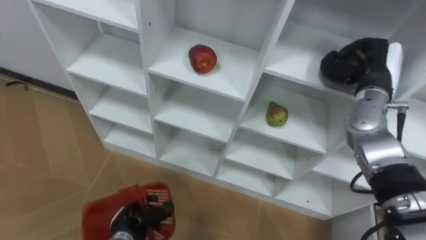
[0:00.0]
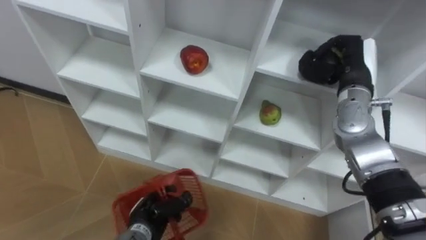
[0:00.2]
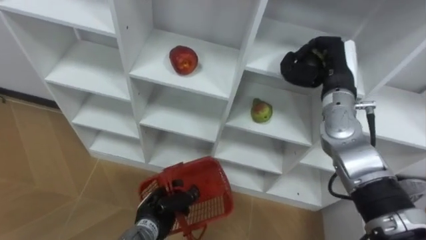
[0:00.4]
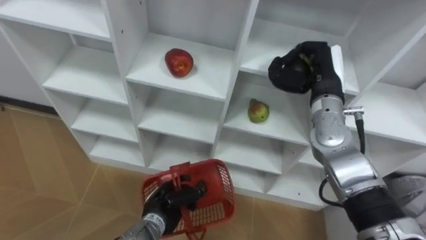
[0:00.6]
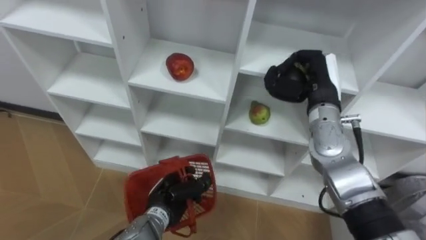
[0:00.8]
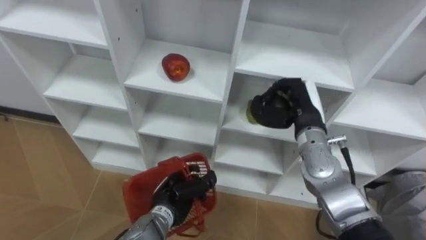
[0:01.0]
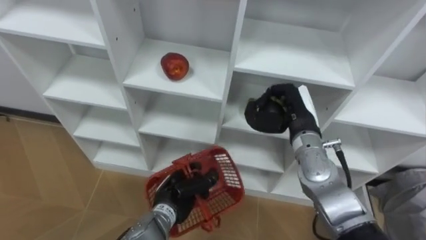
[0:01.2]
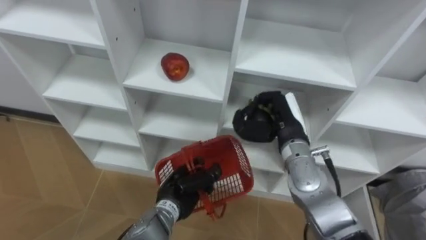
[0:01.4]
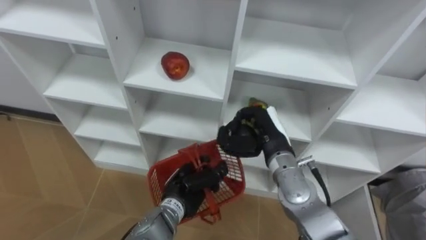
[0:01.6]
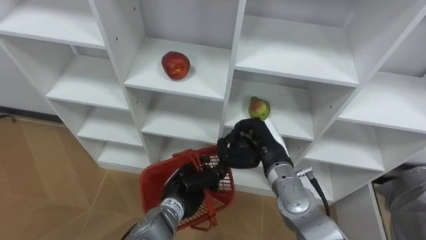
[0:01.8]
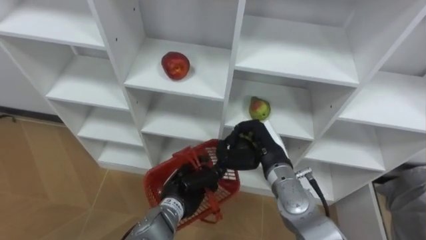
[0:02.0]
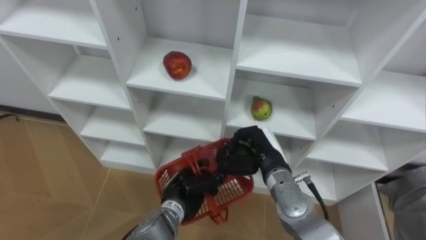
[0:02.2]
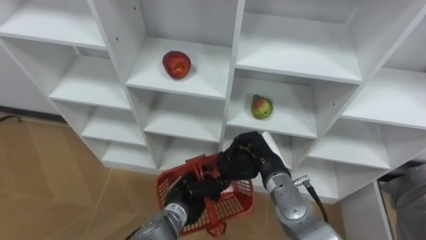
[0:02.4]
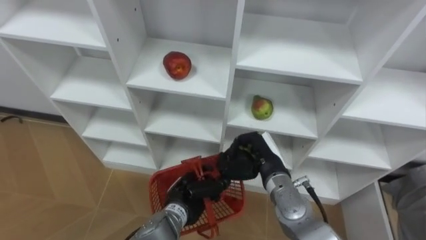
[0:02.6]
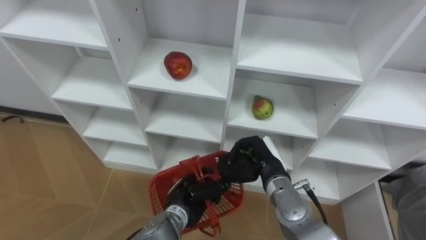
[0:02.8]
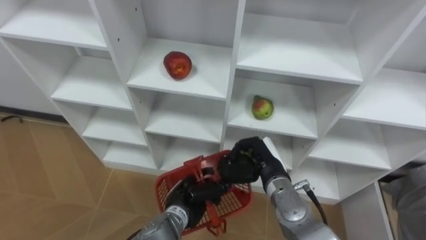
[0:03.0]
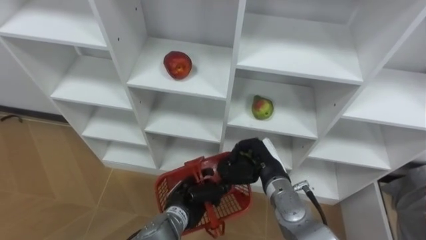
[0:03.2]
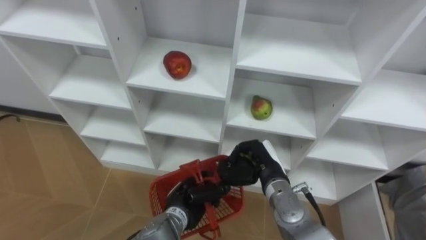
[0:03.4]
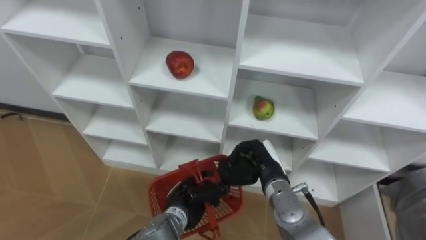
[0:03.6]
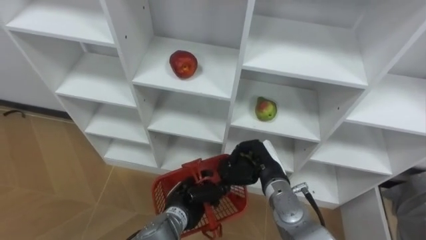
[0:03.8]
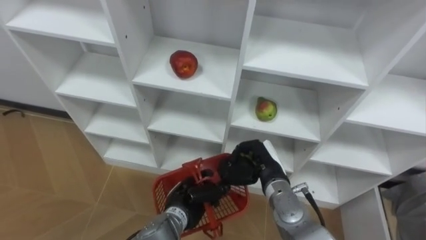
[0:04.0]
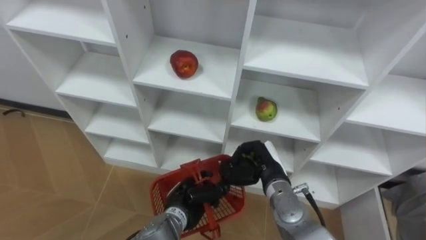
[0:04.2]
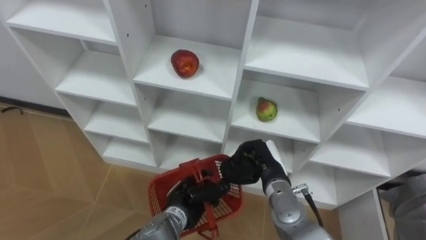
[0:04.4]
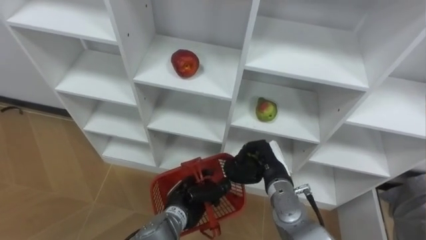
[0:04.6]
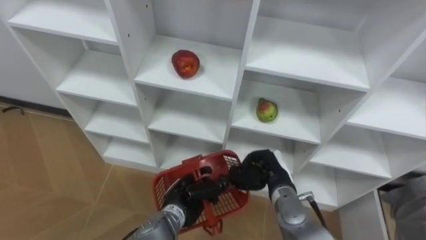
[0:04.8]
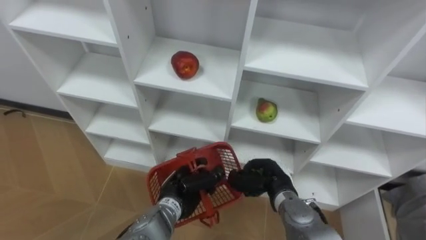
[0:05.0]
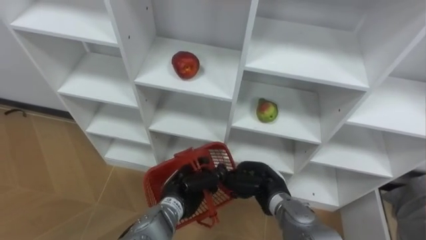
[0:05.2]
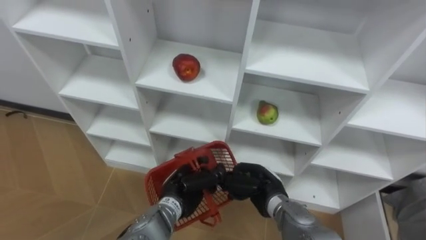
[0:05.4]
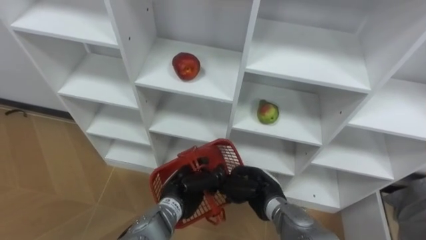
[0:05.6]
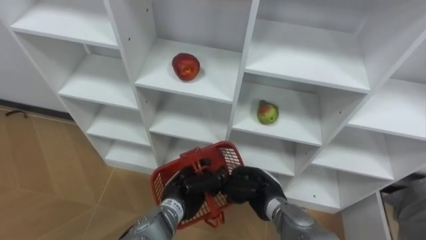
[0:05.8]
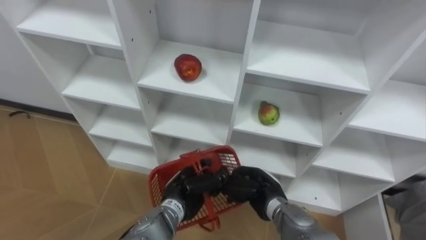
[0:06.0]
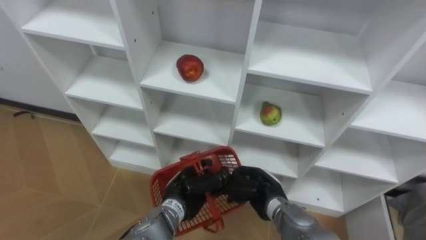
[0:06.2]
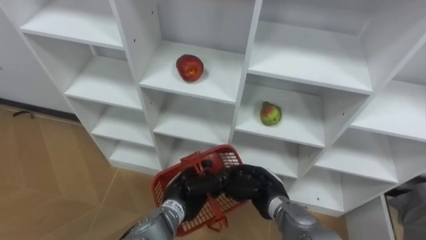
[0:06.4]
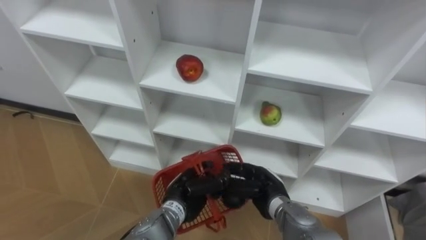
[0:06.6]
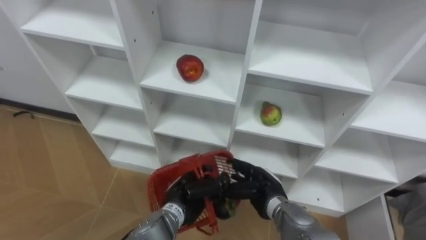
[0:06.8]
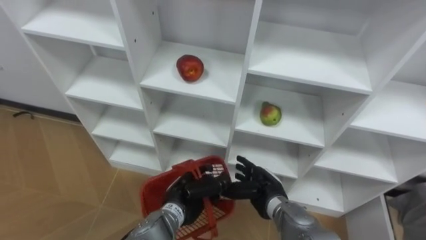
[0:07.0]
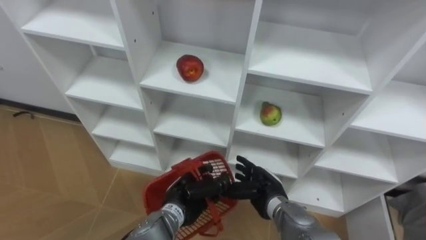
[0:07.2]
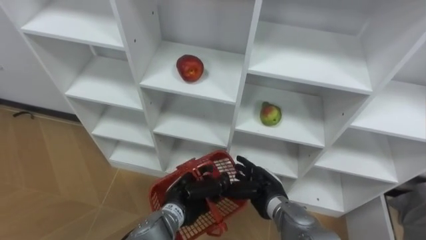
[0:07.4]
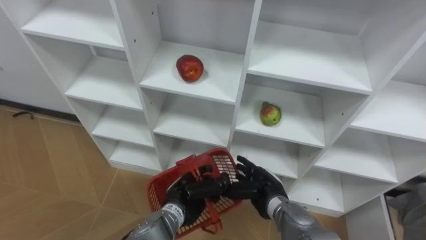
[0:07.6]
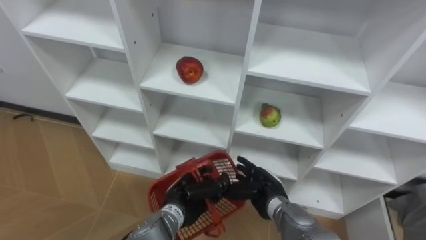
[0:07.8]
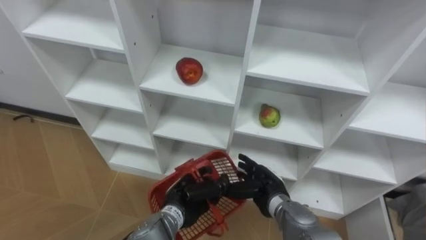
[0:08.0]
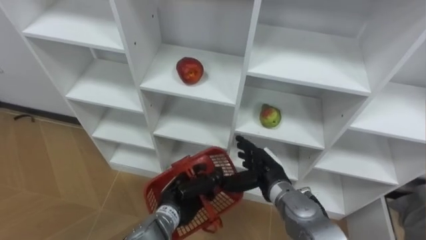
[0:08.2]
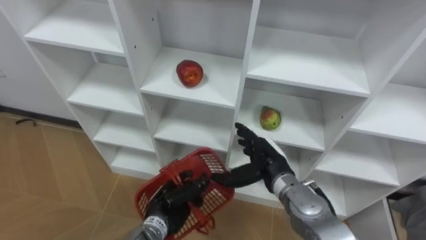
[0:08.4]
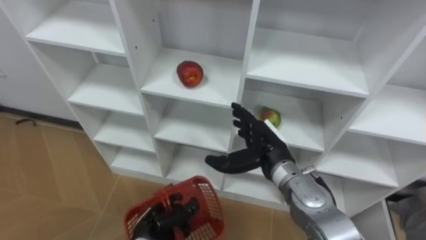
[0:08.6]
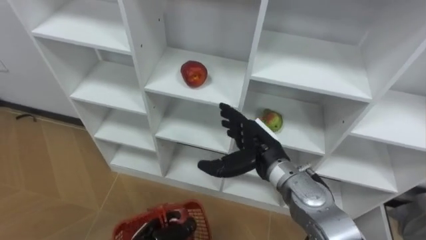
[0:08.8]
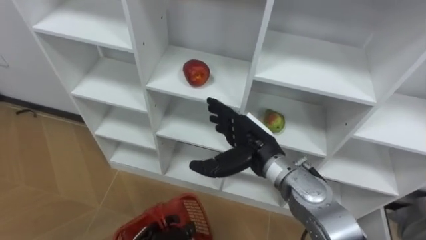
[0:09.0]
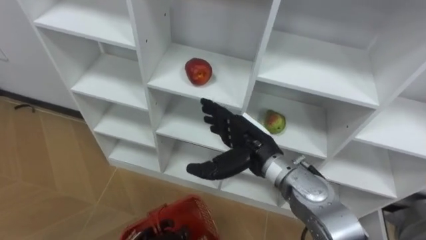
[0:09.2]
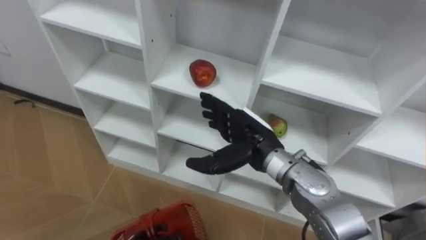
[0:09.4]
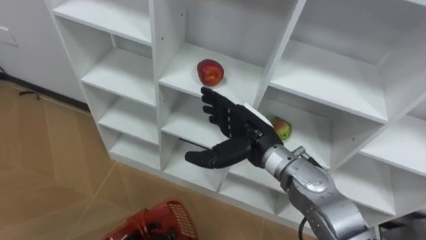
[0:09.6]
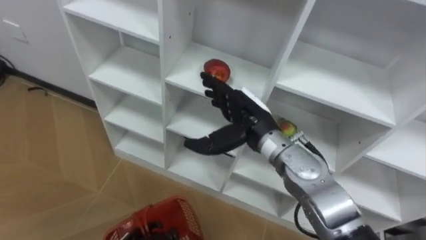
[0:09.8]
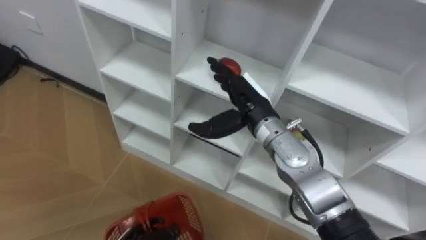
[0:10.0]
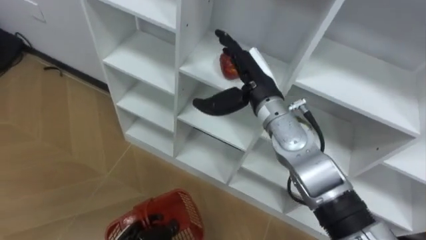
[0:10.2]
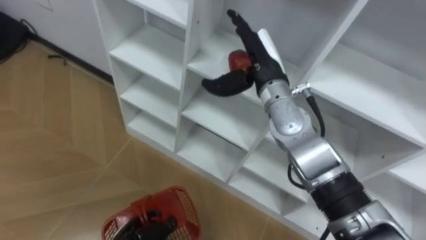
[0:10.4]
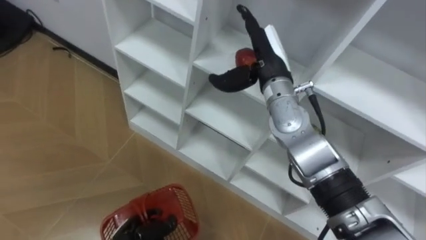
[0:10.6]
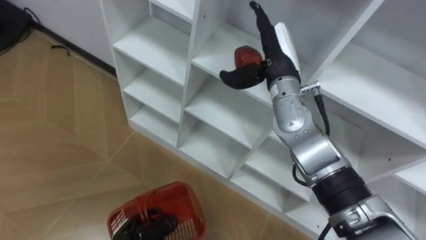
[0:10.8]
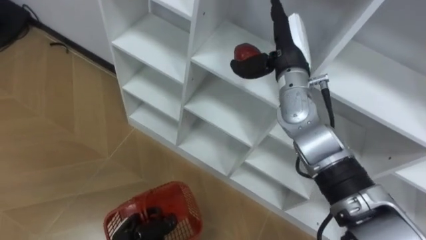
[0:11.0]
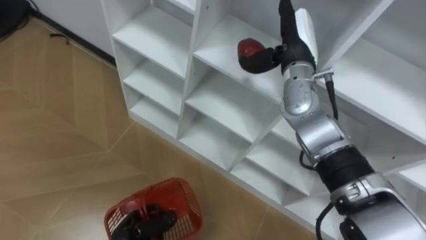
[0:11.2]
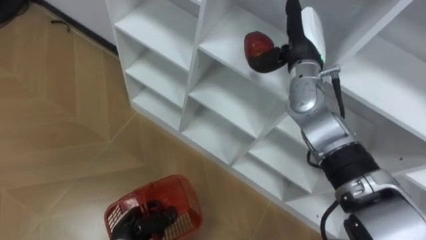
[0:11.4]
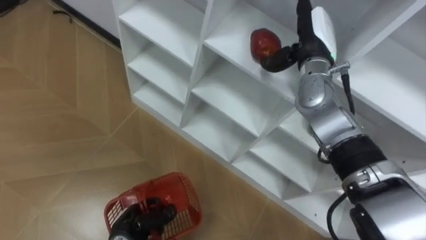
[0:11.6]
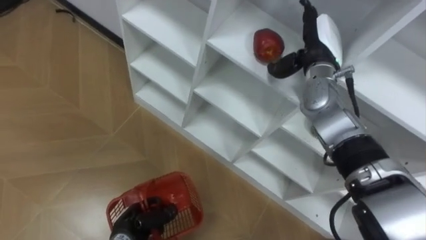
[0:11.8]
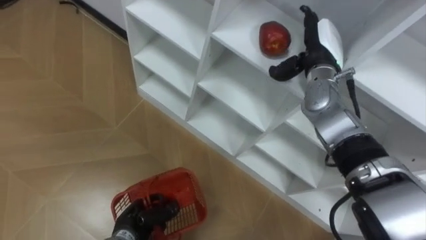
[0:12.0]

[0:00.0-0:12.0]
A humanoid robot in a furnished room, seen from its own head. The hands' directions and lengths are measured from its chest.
Task of the whole recording: Hold the basket and collect the fruits from 3 different cells of the closet into it.
0:00.0 to 0:01.6: The right hand moves to the left, downward and backward, about 20 cm; the left hand heads to the right, upward and forward, covering approximately 15 cm.
0:01.6 to 0:03.0: The right hand moves downward, some 5 cm.
0:04.4 to 0:06.0: The right hand ends up roughly 5 cm from where it was.
0:06.0 to 0:07.6: The right hand opens.
0:07.6 to 0:09.0: The left hand moves backward, to the left and downward, approximately 15 cm; the right hand is displaced upward by some 15 cm.
0:09.0 to 0:10.4: The right hand moves upward and forward, some 15 cm.
0:10.4 to 0:12.0: The right hand goes approximately 10 cm to the right and forward.

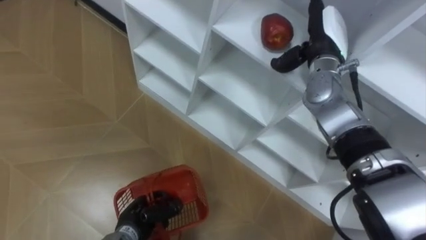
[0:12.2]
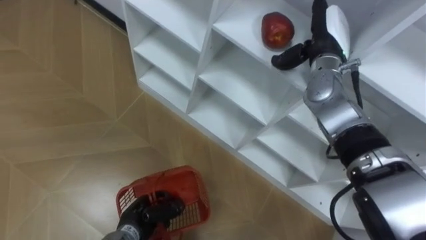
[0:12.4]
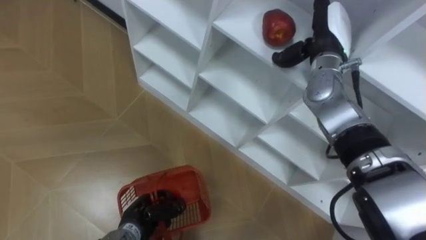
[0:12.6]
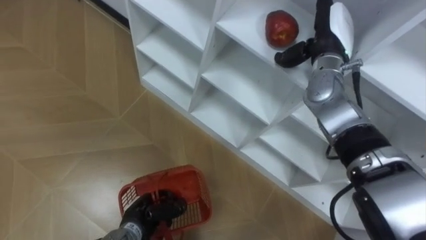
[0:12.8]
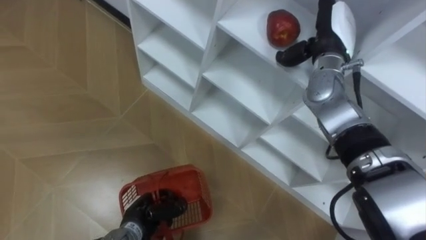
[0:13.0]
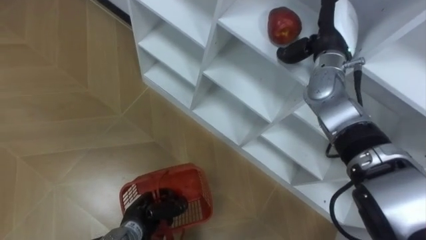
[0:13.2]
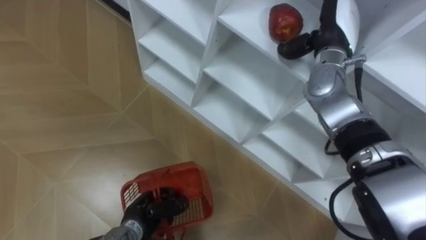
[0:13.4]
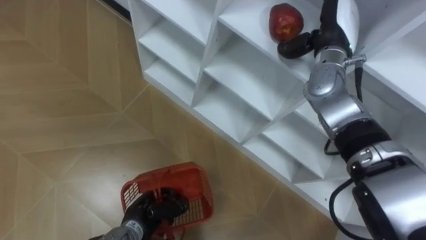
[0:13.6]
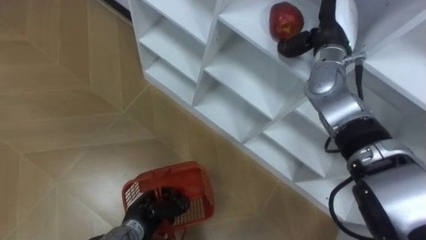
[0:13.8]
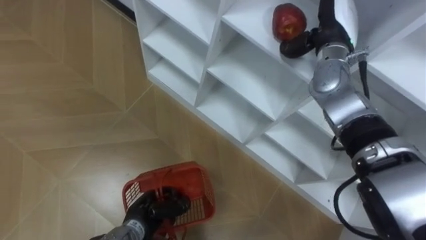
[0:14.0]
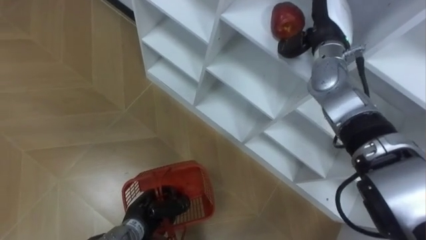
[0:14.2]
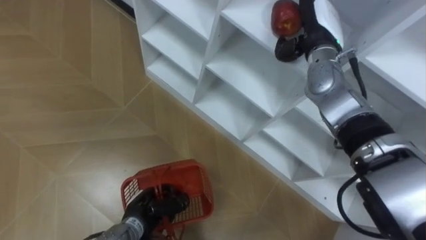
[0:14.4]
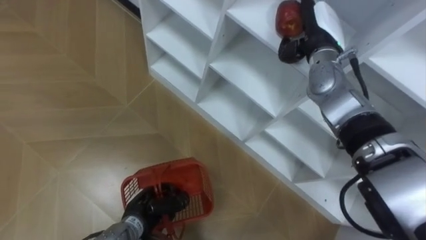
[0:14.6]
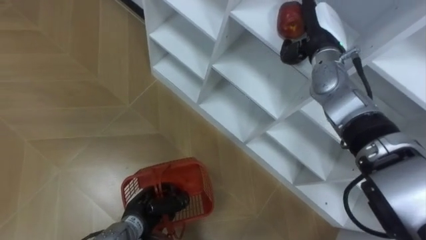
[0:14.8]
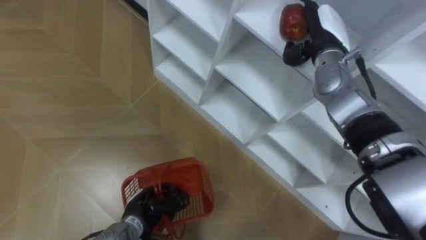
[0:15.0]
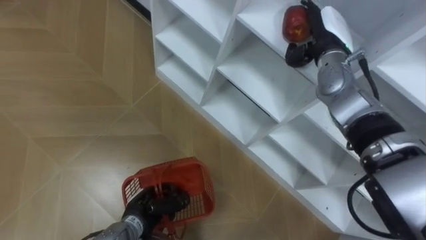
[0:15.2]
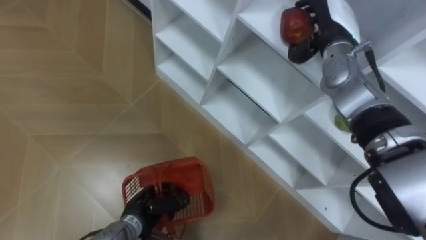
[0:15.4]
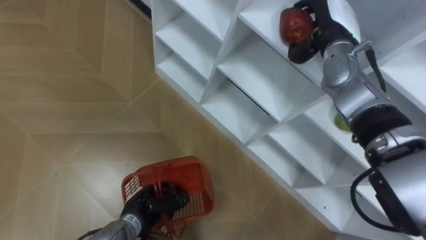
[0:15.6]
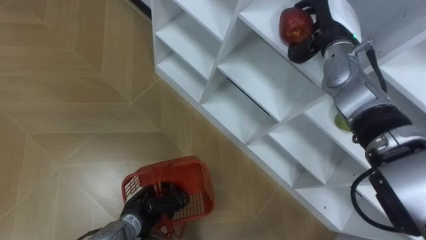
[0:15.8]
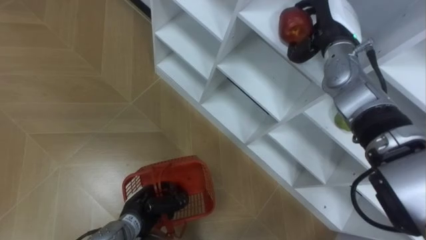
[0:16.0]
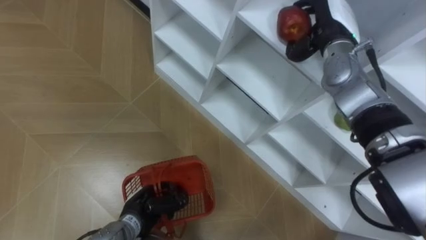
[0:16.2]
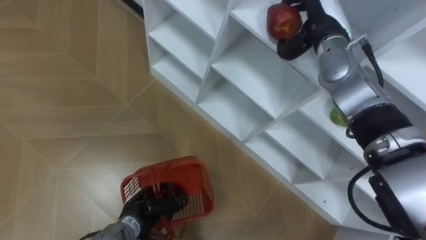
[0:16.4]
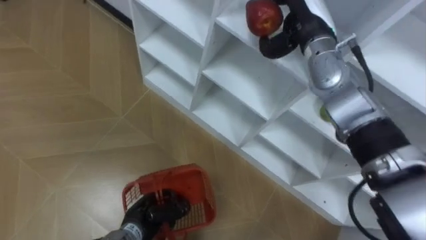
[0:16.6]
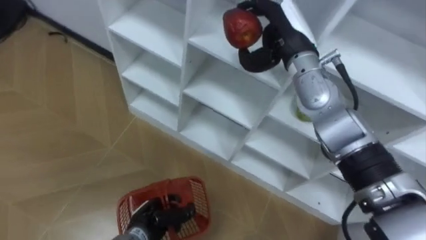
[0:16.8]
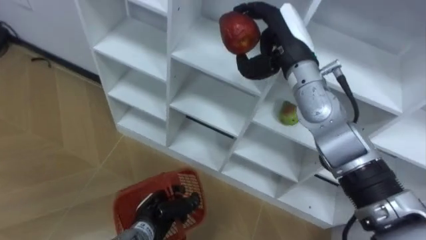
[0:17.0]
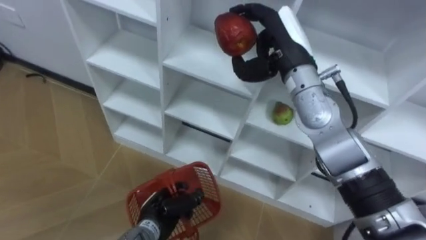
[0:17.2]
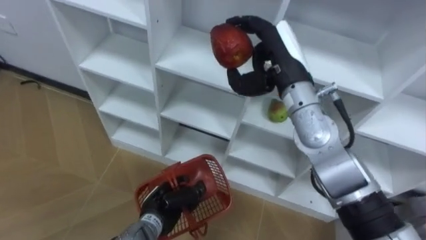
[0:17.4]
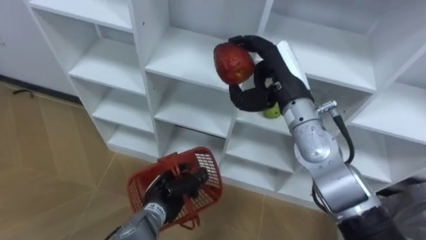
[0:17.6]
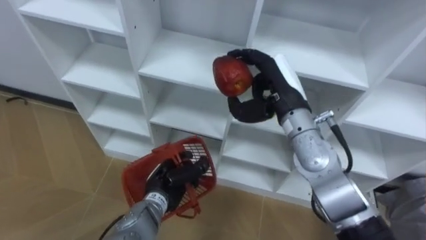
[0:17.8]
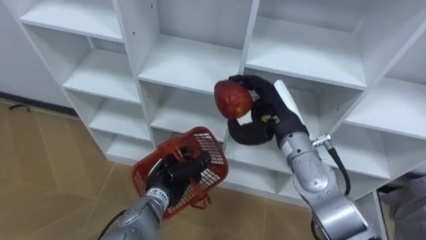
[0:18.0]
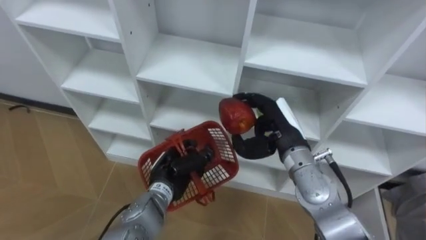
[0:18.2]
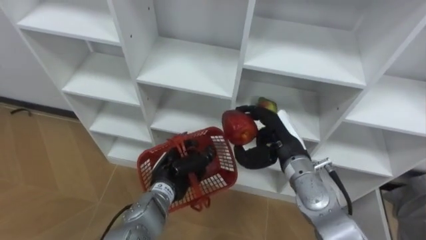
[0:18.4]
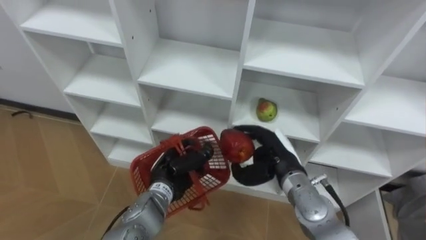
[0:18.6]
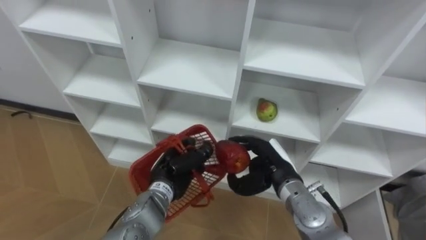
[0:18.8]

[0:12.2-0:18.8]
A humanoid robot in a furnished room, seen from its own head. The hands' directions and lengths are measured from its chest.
Task of the whole recording: Hold the basket and collect the fruits from 3 different cells of the closet into it.
0:15.4 to 0:17.2: The right hand goes roughly 10 cm to the left and backward, and closes its fingers.
0:17.2 to 0:18.8: The right hand goes some 25 cm downward and backward, while the left hand is displaced upward and forward by approximately 10 cm.
